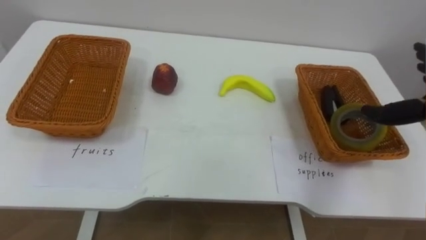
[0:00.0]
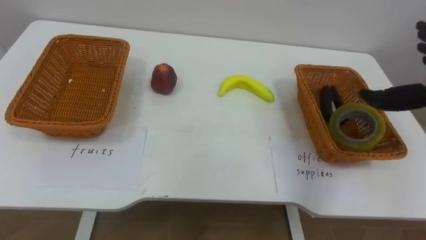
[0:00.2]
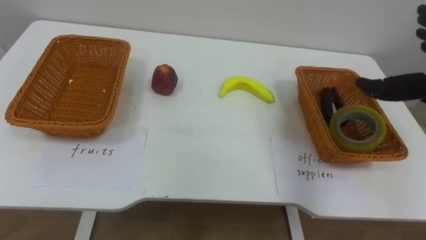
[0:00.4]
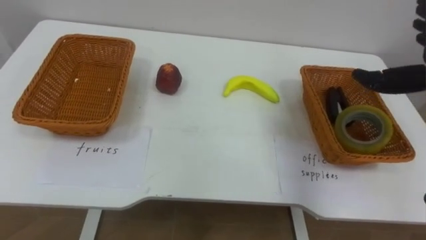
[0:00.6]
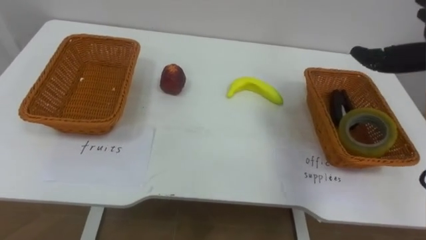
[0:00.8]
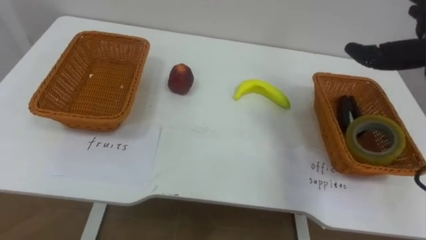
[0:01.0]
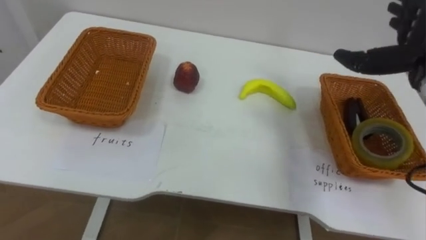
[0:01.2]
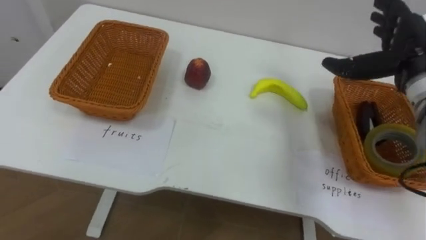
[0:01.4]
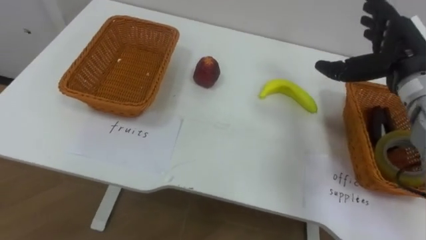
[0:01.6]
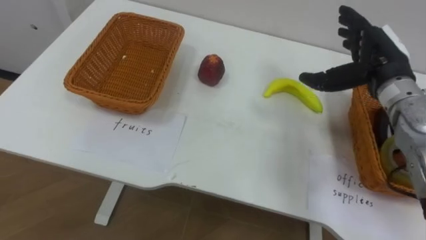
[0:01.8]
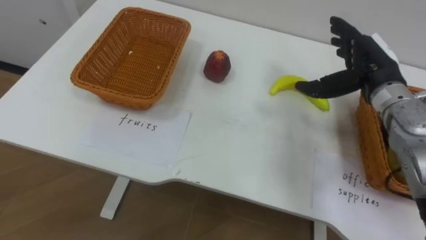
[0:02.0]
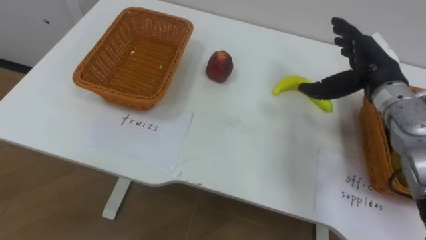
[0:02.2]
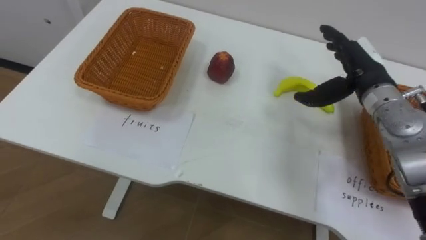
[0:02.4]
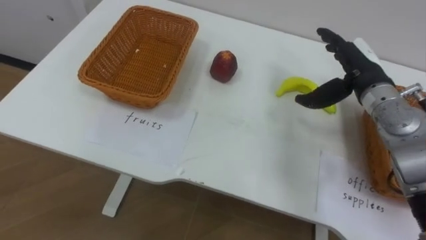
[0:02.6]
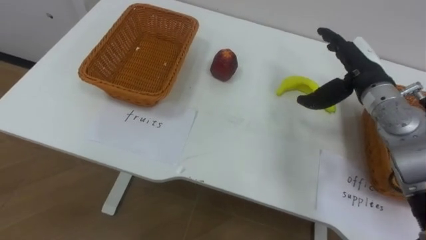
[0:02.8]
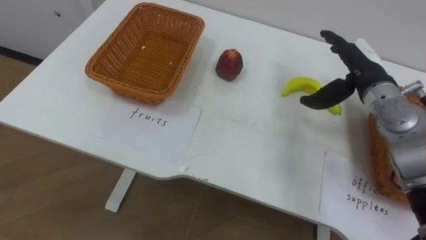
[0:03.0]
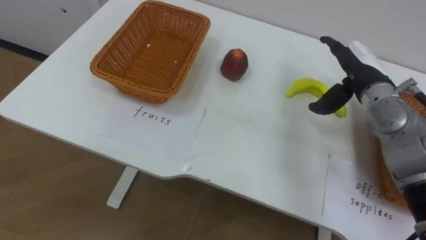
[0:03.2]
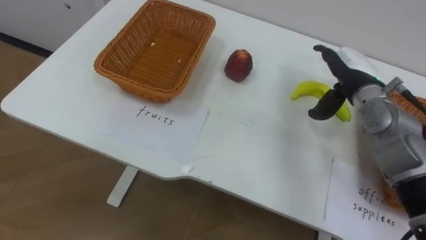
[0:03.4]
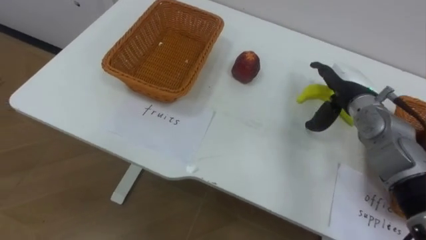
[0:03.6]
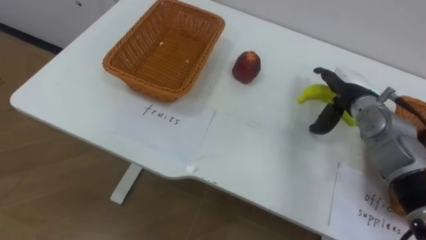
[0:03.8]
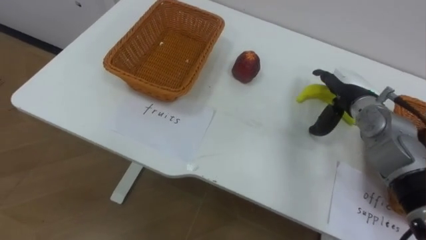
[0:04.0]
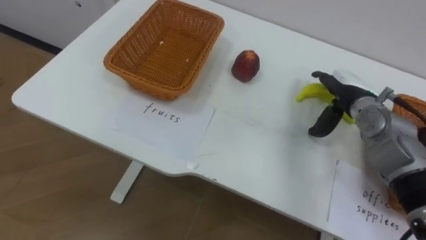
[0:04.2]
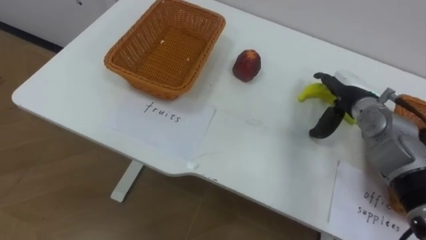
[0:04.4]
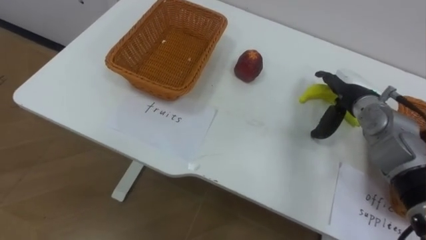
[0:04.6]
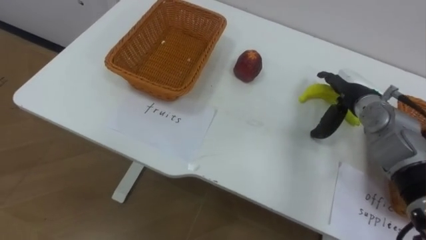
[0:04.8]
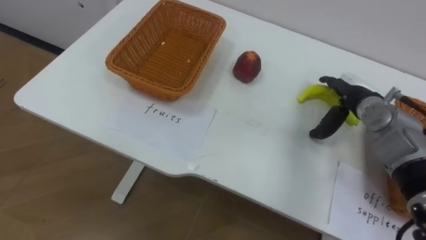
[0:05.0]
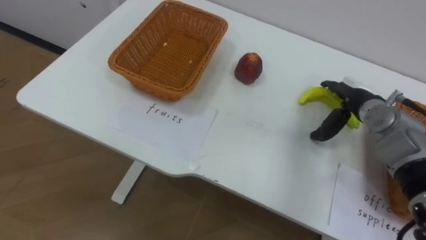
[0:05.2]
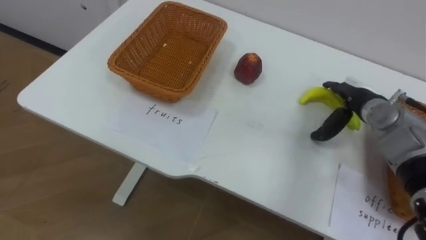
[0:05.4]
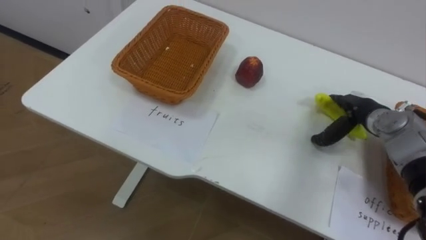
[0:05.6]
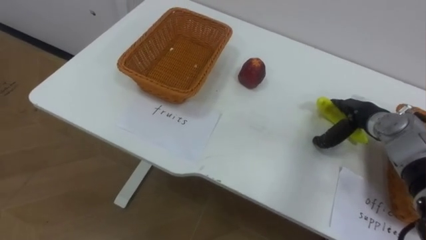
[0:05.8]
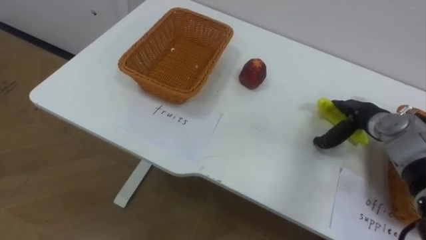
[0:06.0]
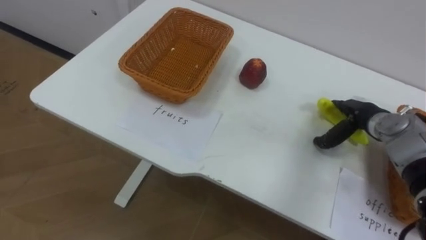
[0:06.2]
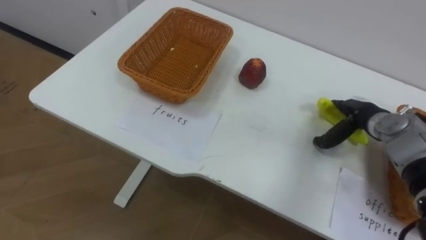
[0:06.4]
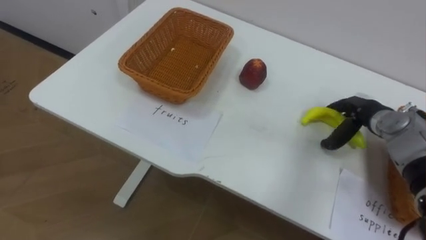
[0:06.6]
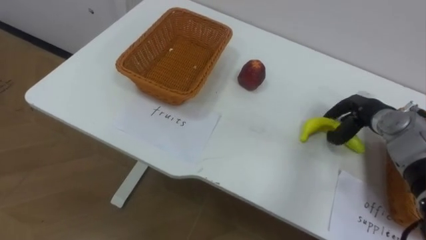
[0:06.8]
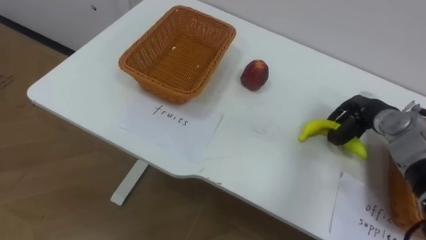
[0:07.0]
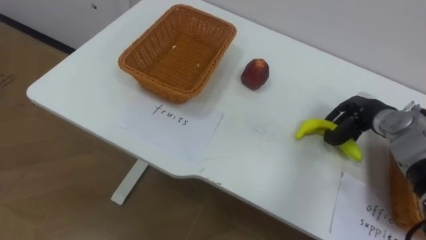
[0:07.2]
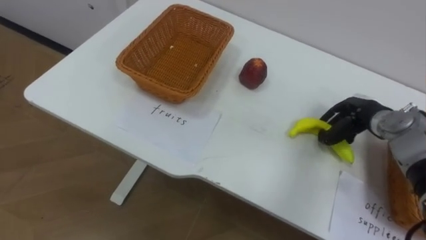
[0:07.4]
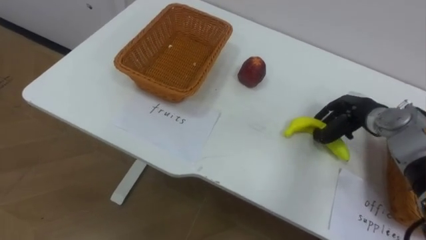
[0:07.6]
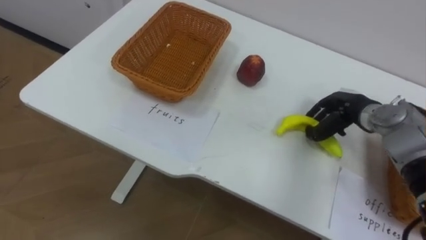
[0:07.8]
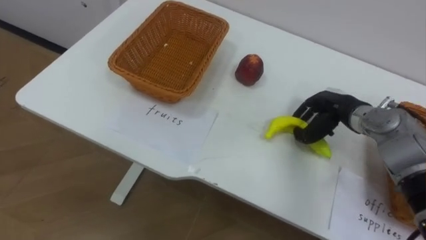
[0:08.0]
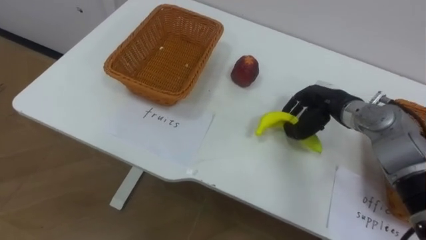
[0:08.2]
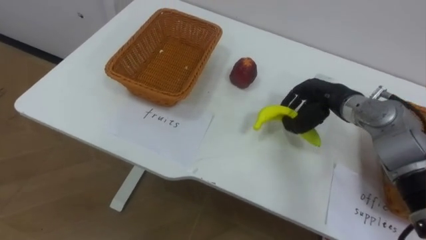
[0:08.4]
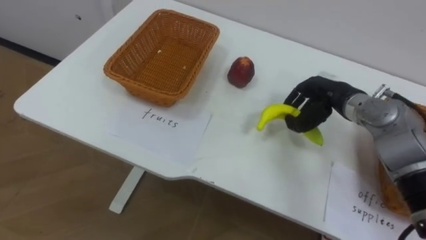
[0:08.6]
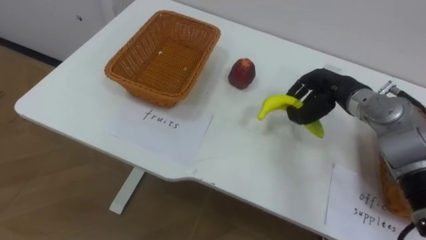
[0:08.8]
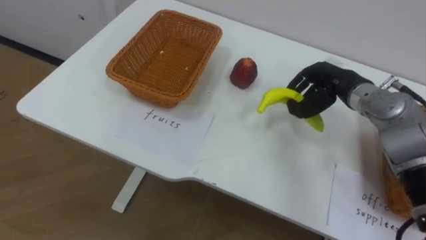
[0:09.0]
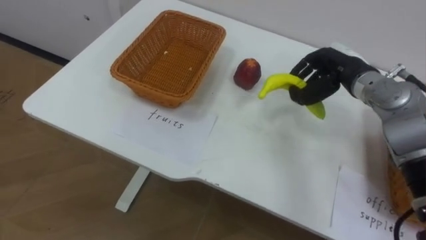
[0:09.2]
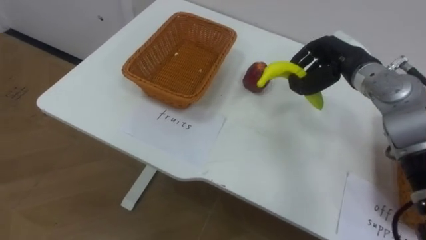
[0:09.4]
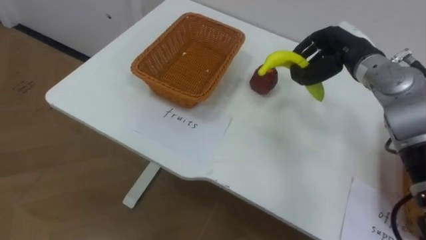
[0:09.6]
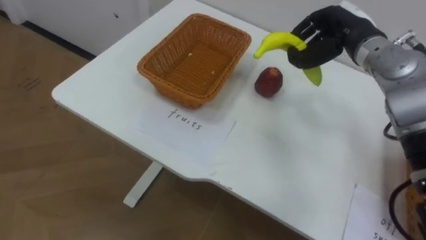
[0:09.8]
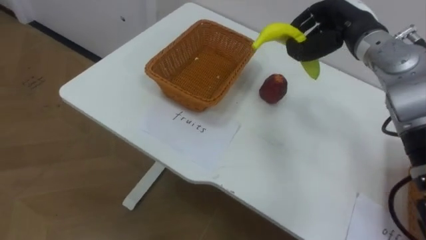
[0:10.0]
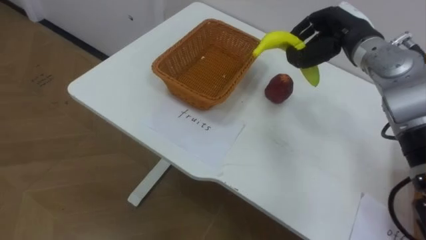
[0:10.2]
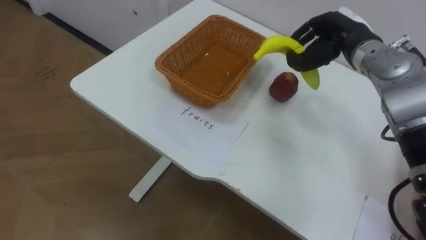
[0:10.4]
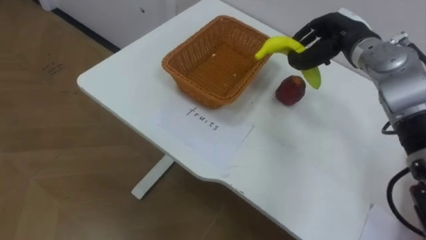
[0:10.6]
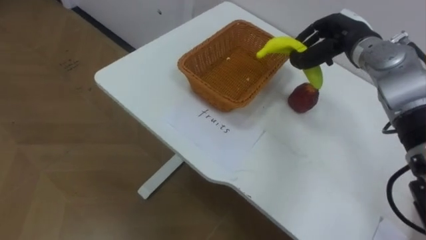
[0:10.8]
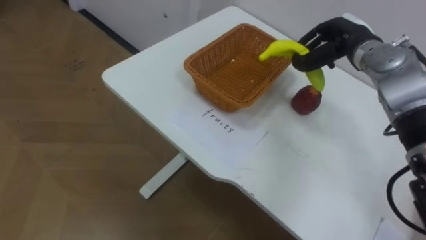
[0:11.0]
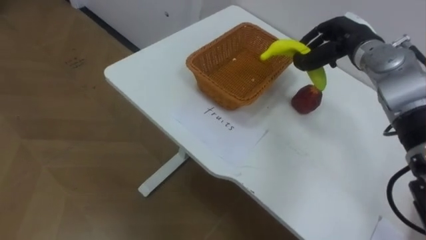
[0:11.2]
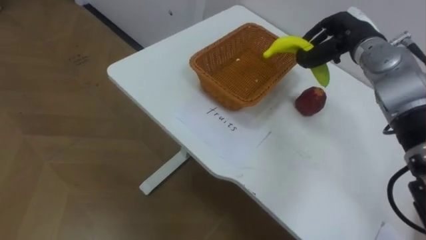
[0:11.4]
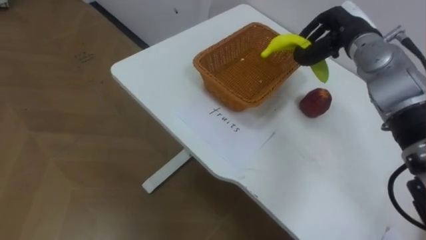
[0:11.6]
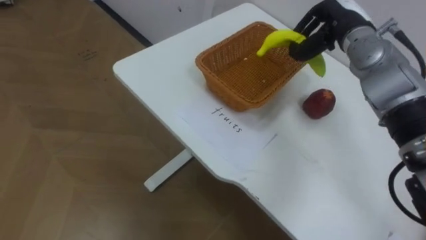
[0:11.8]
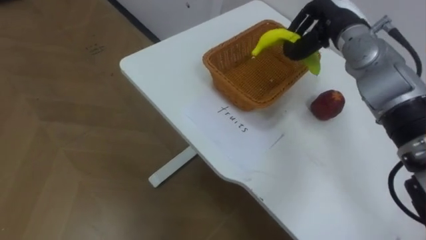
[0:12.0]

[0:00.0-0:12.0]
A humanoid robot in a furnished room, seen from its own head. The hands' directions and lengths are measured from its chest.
Task of the whole recording: Separate the items on the table and place them into the two baskets.
0:01.6 to 0:03.0: The right hand changes place by approximately 5 cm.
0:03.0 to 0:04.4: The right hand is displaced downward by approximately 5 cm.
0:04.4 to 0:06.0: The right hand is displaced downward by about 5 cm.
0:06.0 to 0:07.6: The right hand closes up.
0:07.6 to 0:09.0: The right hand travels upward and to the left by some 10 cm.
0:09.0 to 0:10.4: The right hand travels upward by approximately 5 cm.

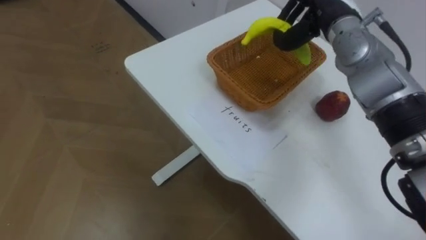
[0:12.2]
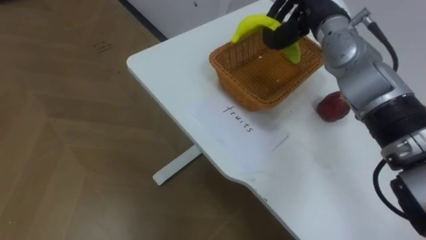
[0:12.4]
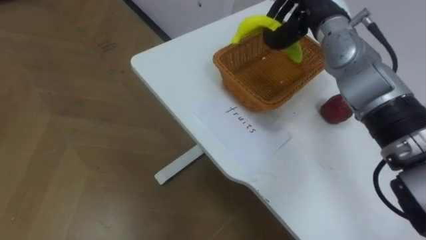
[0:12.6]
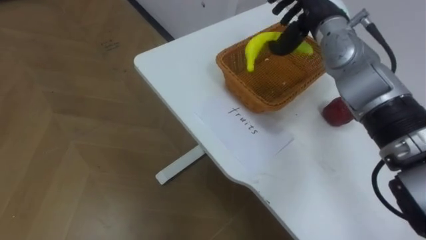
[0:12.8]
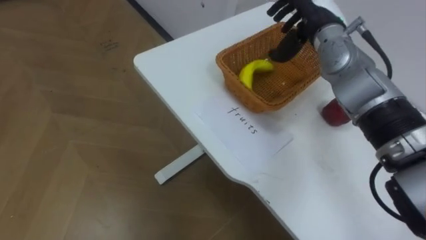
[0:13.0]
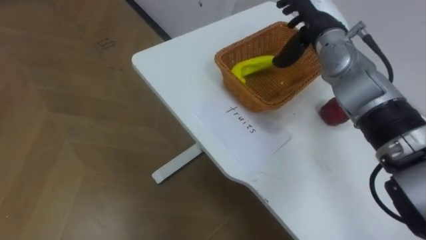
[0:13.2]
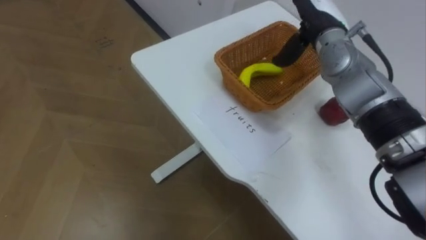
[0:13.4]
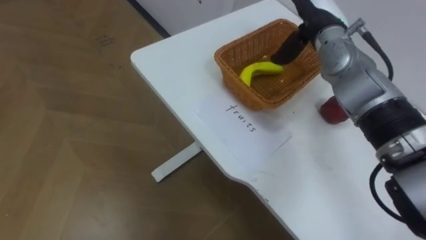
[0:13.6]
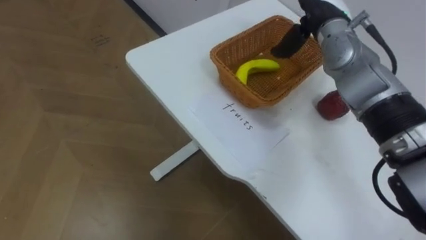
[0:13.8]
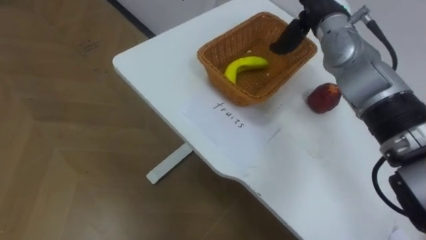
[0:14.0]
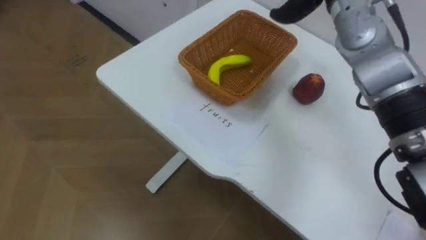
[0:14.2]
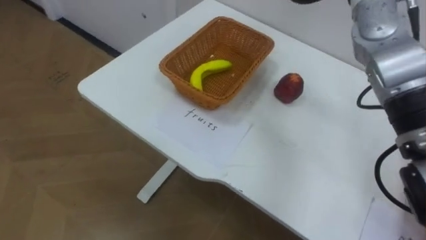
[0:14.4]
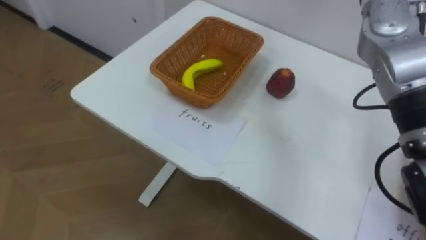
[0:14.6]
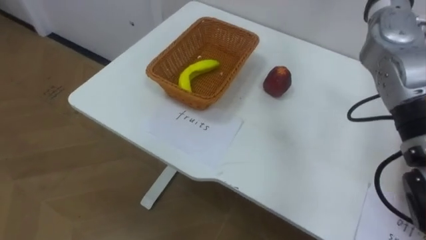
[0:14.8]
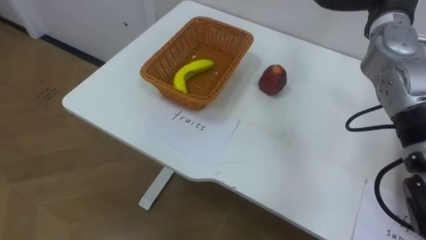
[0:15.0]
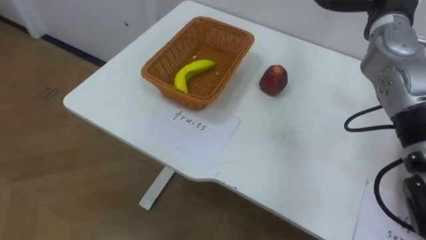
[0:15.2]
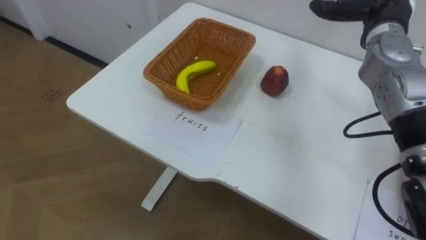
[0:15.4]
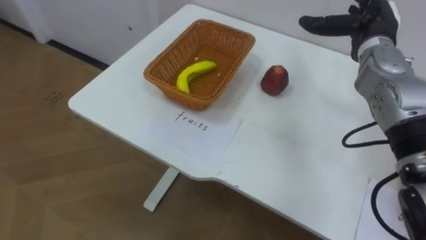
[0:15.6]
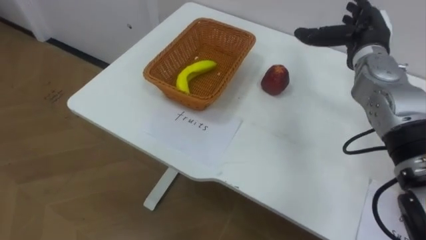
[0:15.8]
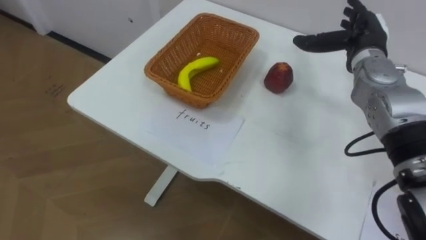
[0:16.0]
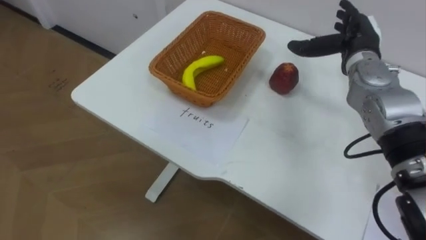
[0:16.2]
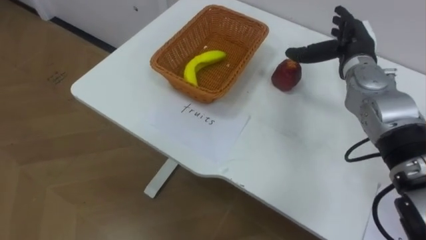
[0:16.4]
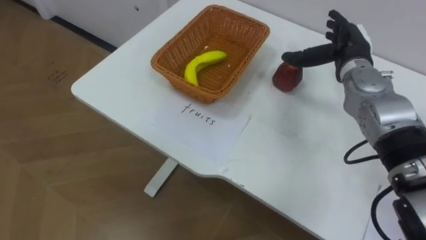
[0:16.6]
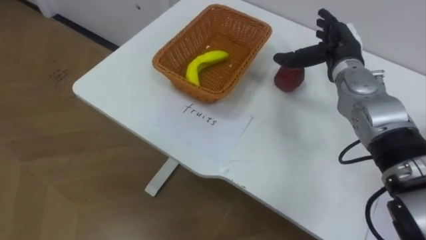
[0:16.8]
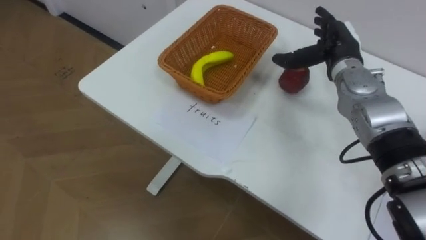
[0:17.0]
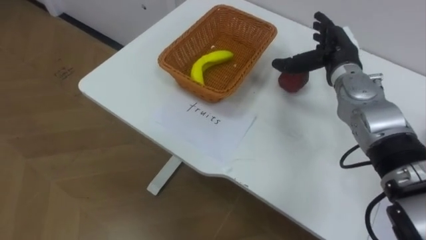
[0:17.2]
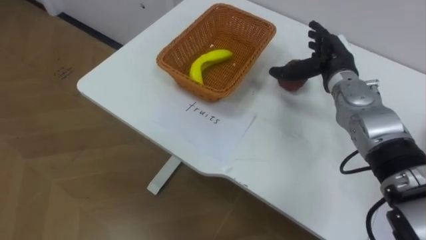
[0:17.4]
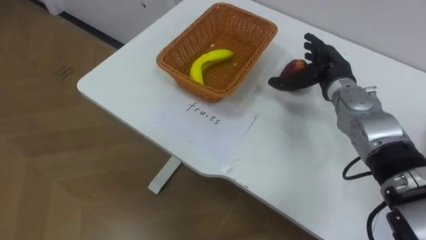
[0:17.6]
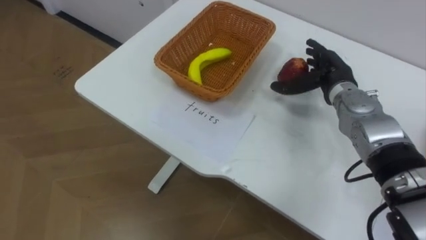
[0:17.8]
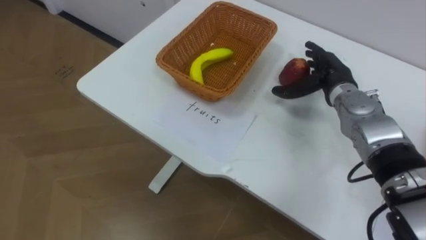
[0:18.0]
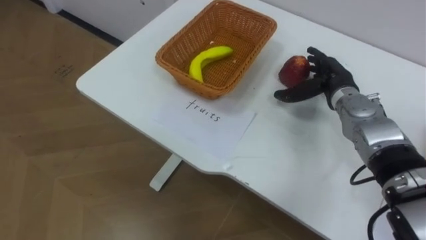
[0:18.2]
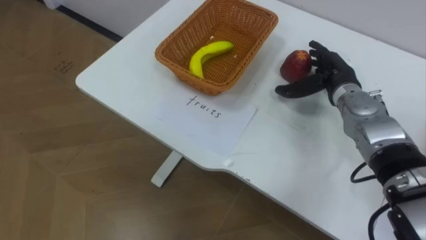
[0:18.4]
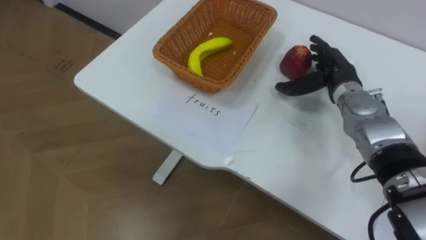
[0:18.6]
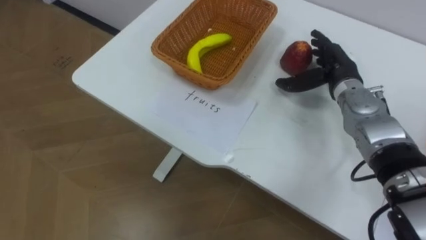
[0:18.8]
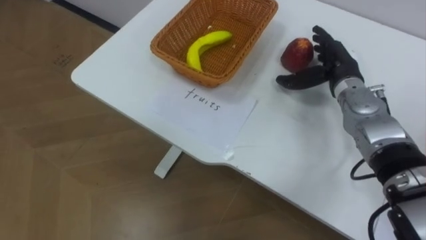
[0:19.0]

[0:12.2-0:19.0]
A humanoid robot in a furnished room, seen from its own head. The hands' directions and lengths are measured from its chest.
Task of the whole recording: Separate the items on the table and place them into the two baskets.
0:12.2 to 0:13.6: The right hand opens its fingers.
0:15.0 to 0:16.2: The right hand shifts roughly 5 cm downward.
0:16.2 to 0:17.6: The right hand travels downward by about 5 cm.
